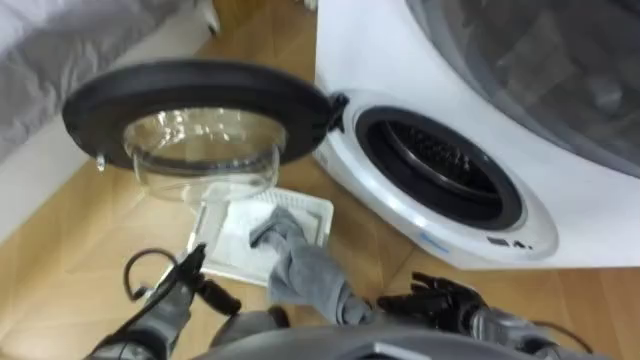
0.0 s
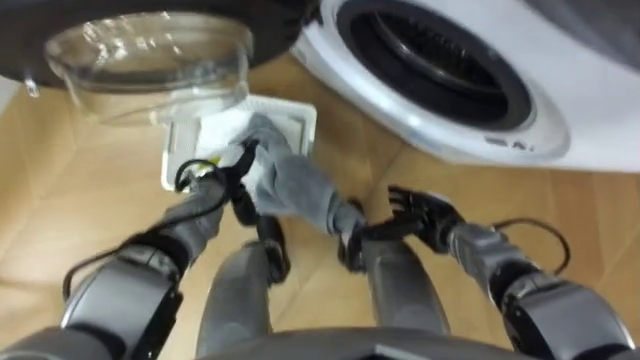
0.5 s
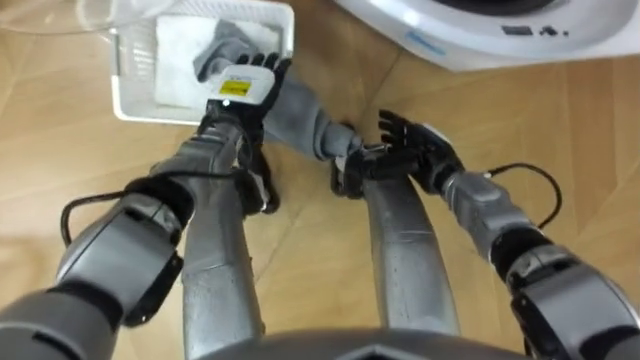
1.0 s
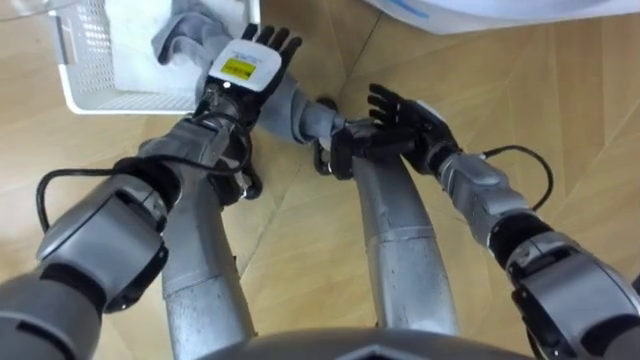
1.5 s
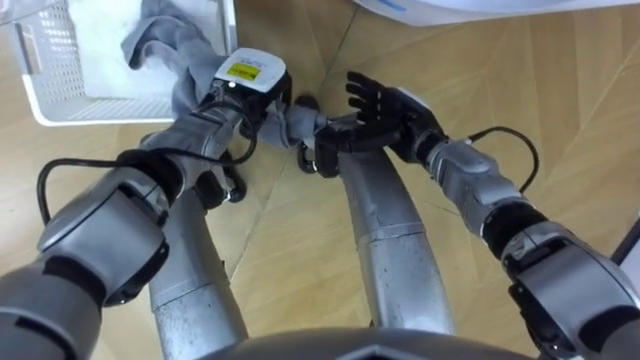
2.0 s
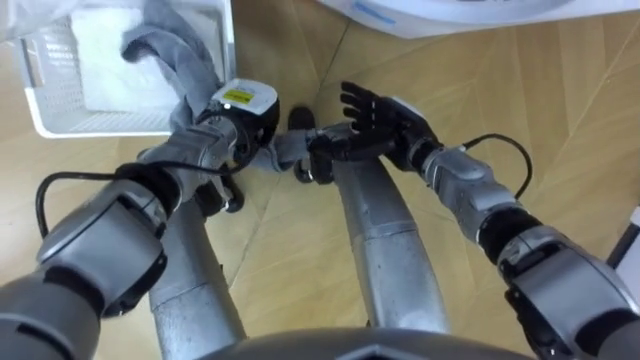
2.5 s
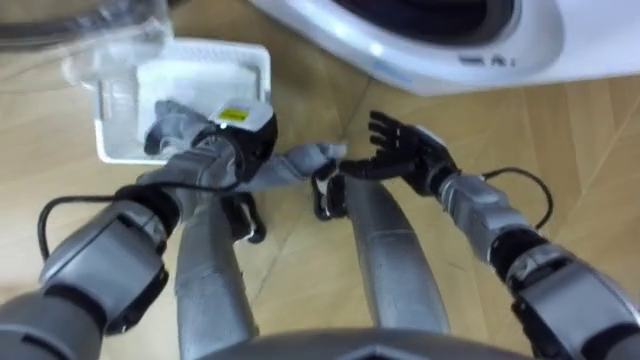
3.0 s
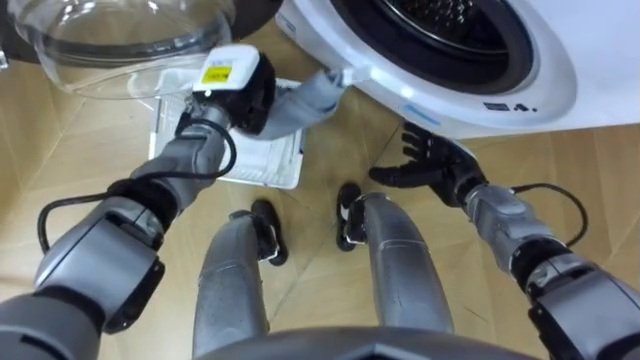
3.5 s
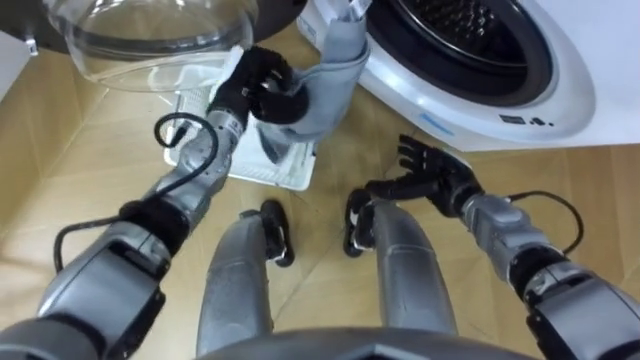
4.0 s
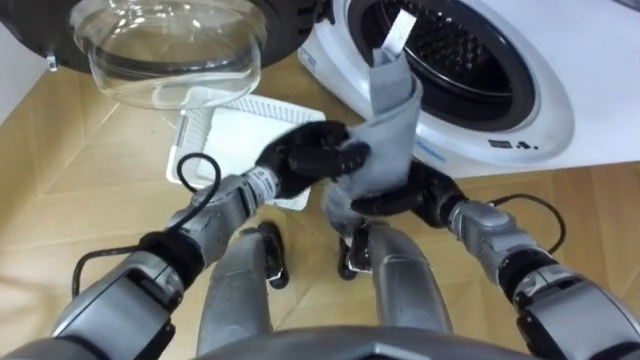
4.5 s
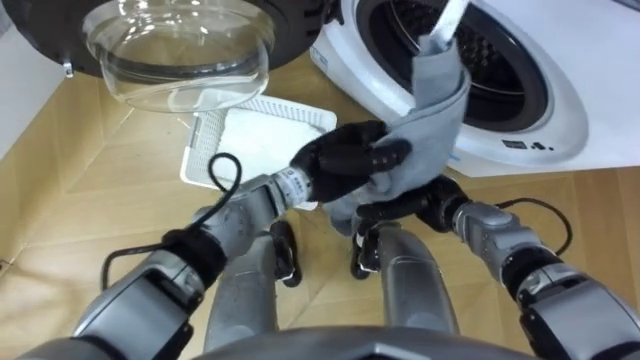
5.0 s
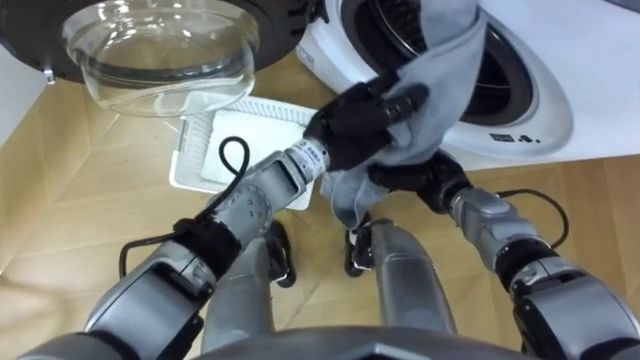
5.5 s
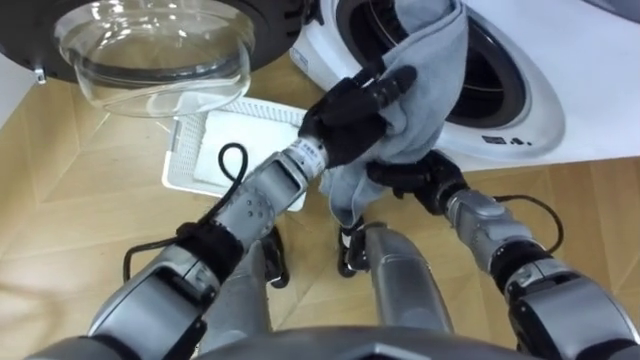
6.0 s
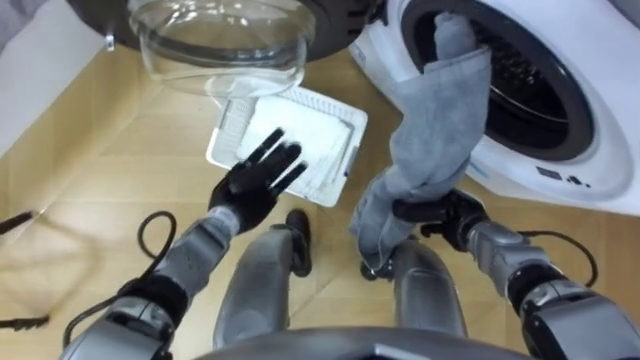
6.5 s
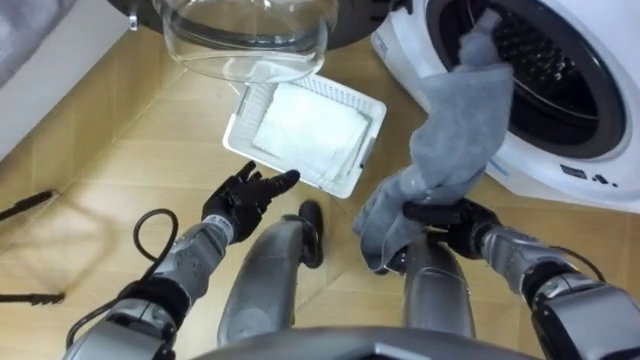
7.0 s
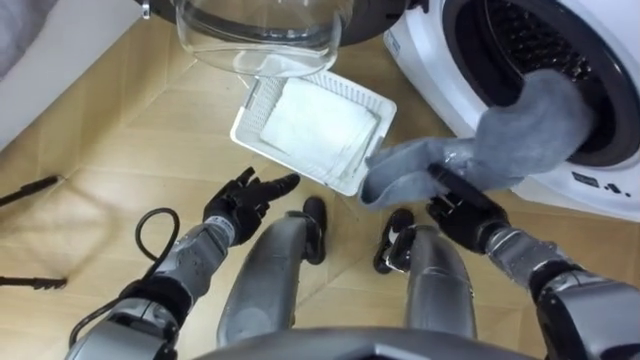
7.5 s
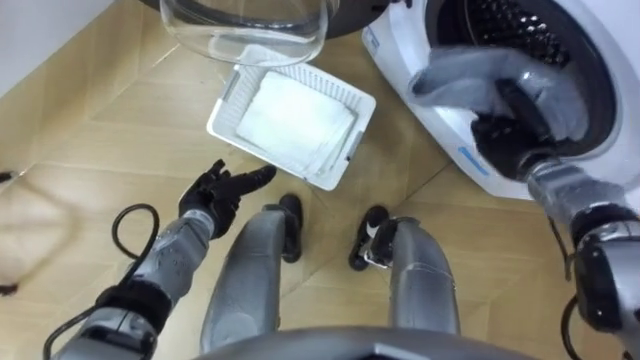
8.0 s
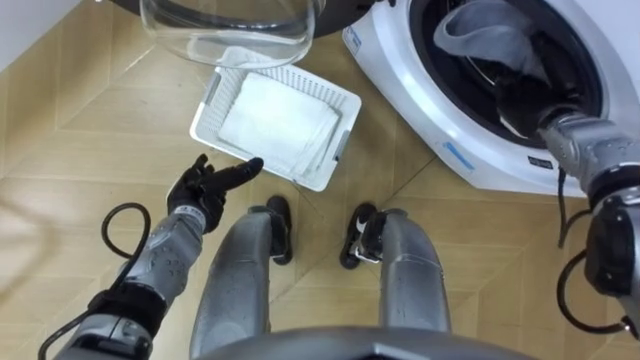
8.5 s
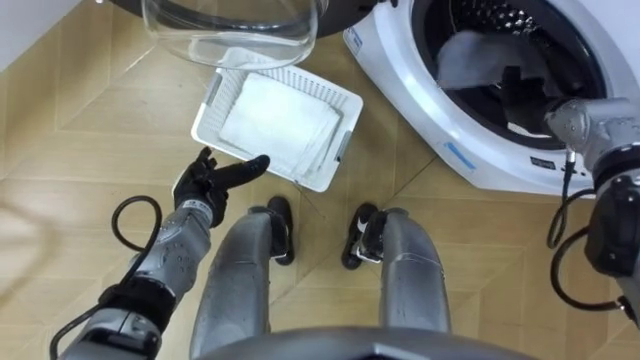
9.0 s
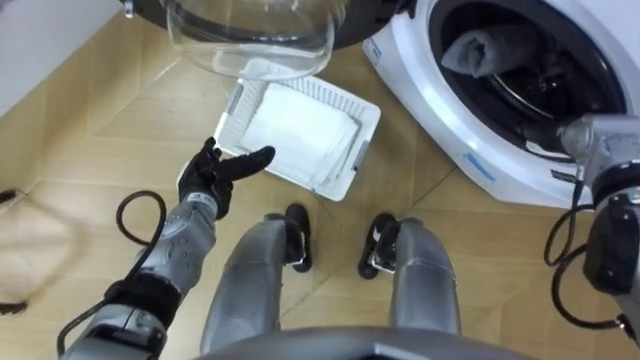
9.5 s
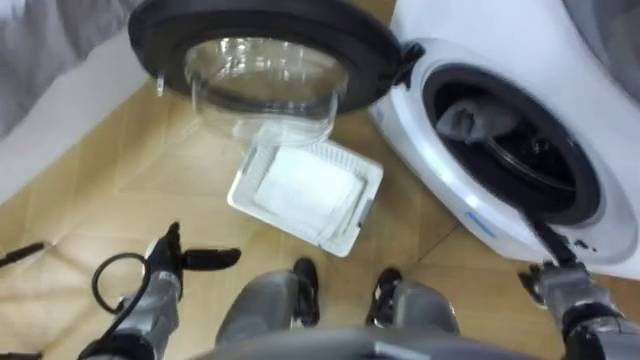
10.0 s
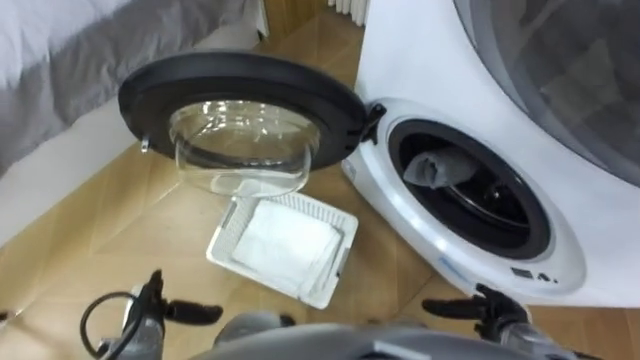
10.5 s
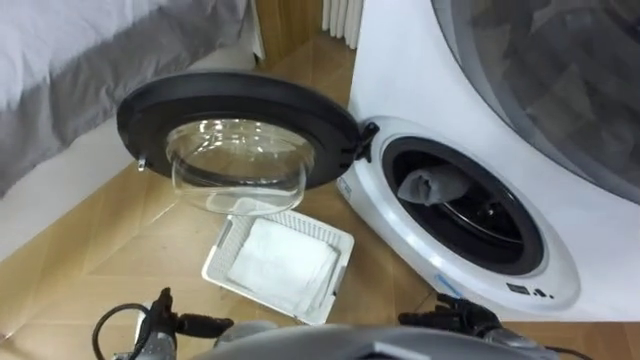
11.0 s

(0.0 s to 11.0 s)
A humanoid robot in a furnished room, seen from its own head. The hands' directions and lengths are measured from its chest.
Task of the whole recording: Take the towel from the basket and put it into the washing machine.
2.0 s - 3.5 s: The right hand travels to the right and downward by some 10 cm.
3.5 s - 5.5 s: The right hand closes up, while the left hand shifts approximately 20 cm to the right and backward.
5.5 s - 7.5 s: The right hand is displaced to the right by about 5 cm, while the left hand moves to the left and downward, approximately 25 cm, and opens.
7.5 s - 9.0 s: The left hand shifts by some 5 cm. The right hand travels forward, upward and to the right by roughly 20 cm, and opens.
9.0 s - 11.0 s: The right hand shifts about 35 cm backward and downward. The left hand goes approximately 20 cm backward and downward.

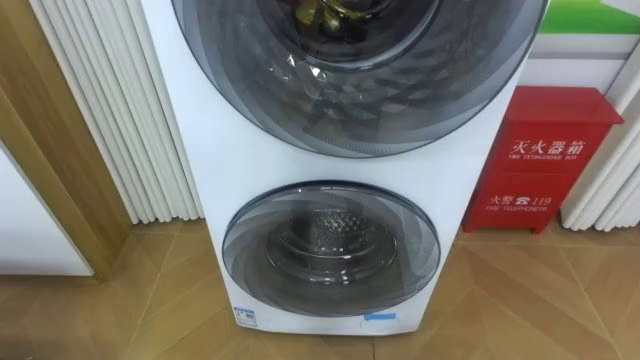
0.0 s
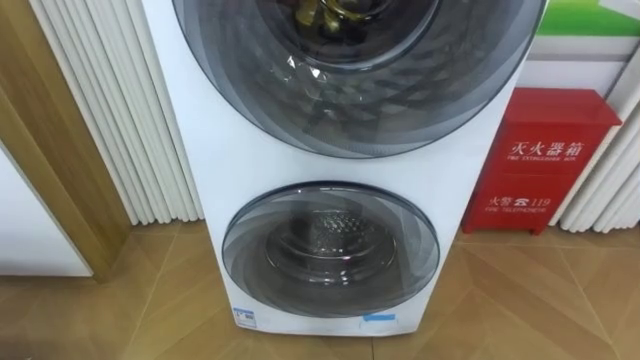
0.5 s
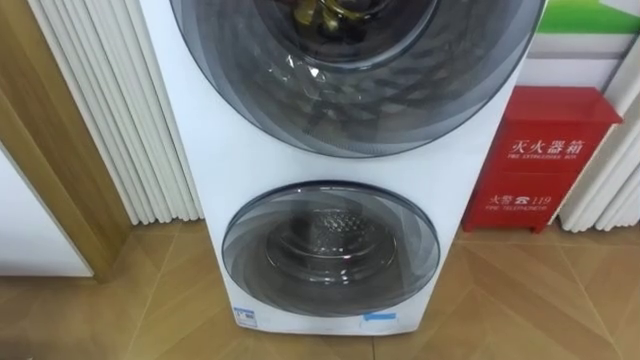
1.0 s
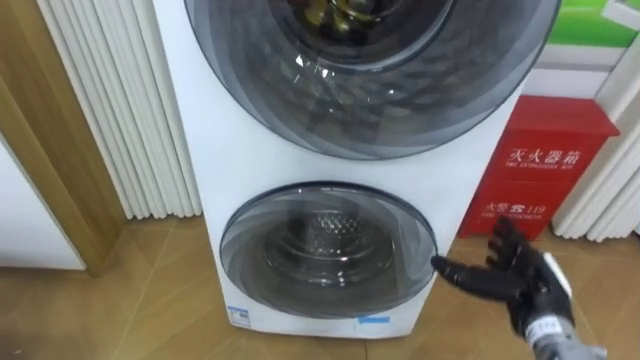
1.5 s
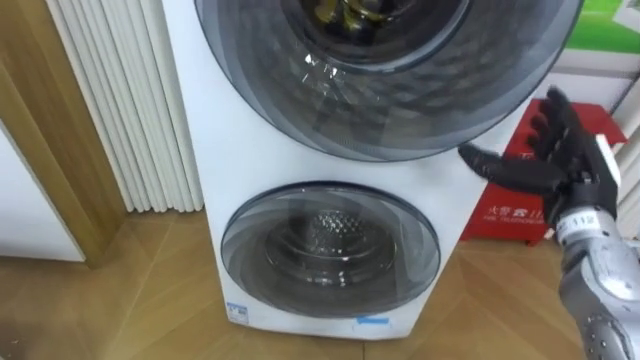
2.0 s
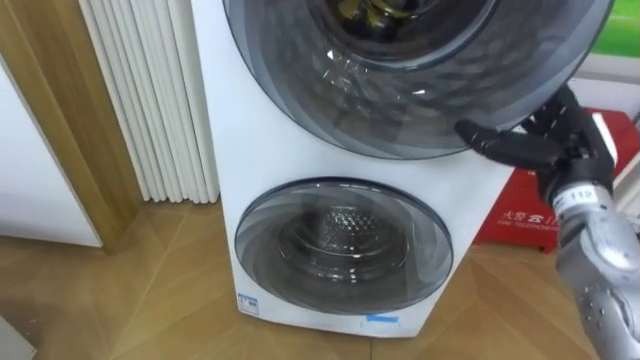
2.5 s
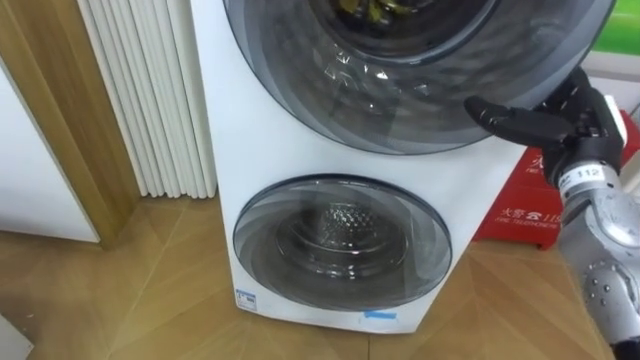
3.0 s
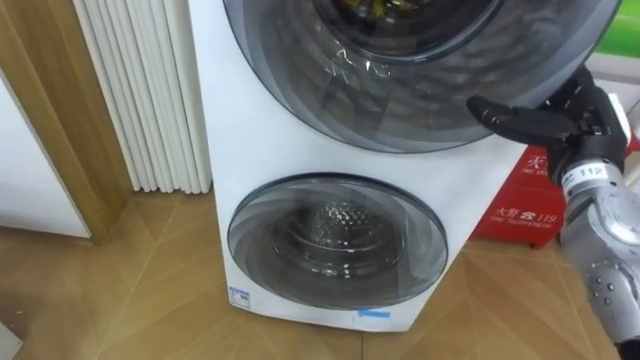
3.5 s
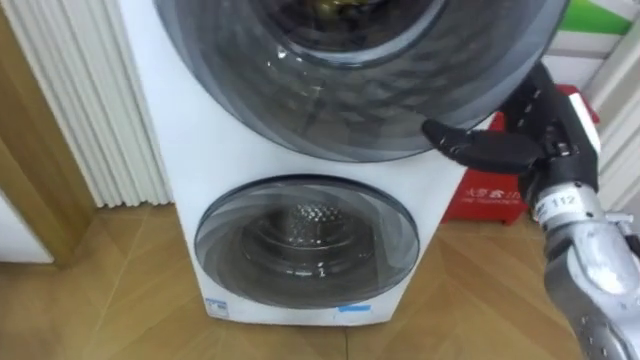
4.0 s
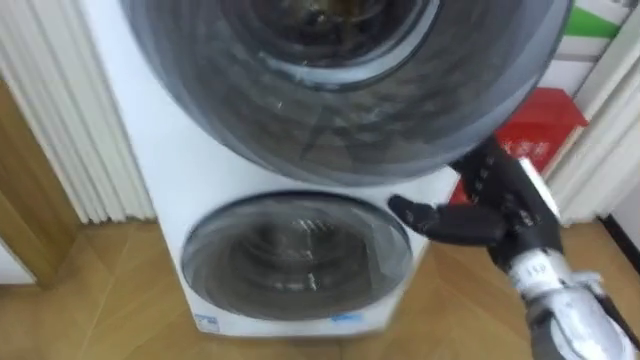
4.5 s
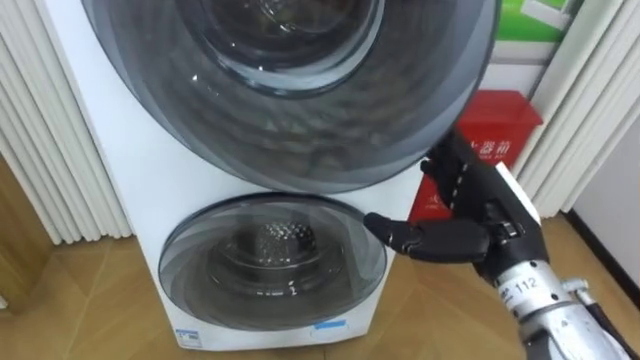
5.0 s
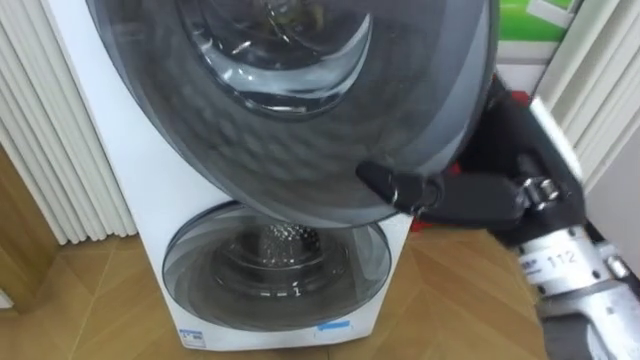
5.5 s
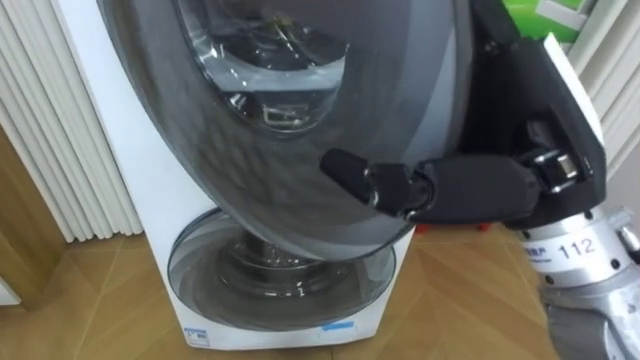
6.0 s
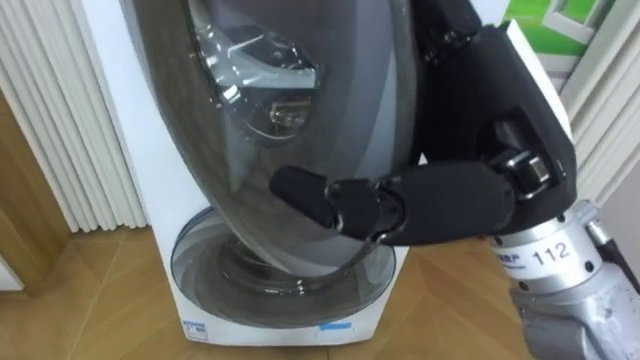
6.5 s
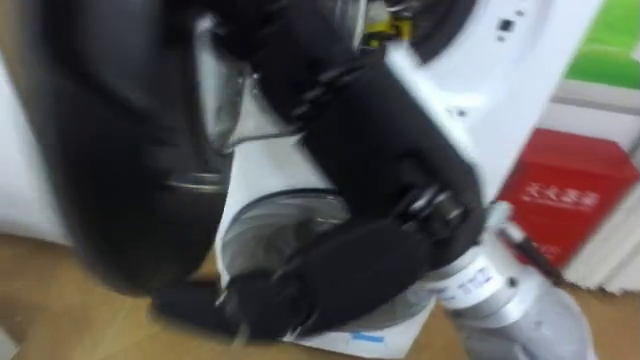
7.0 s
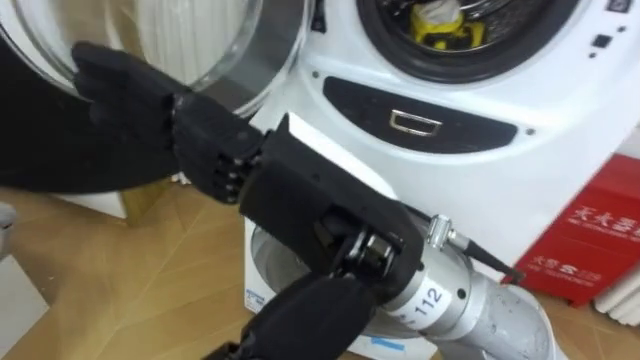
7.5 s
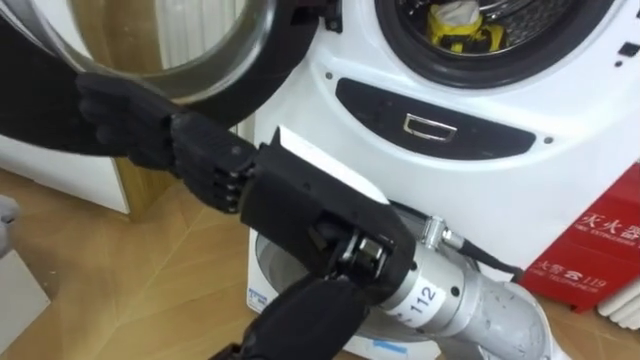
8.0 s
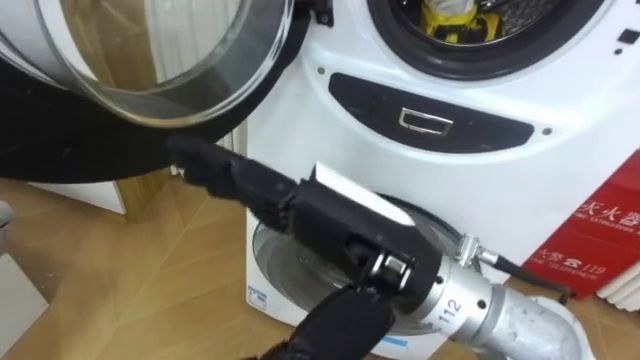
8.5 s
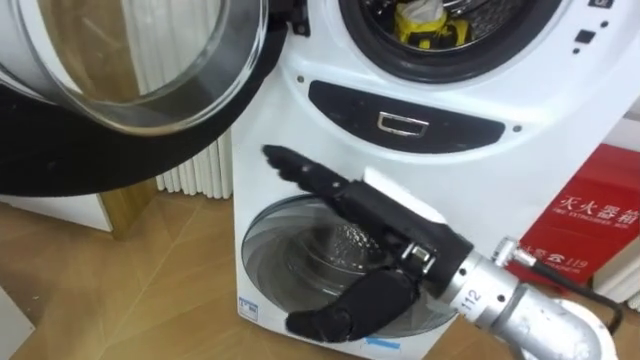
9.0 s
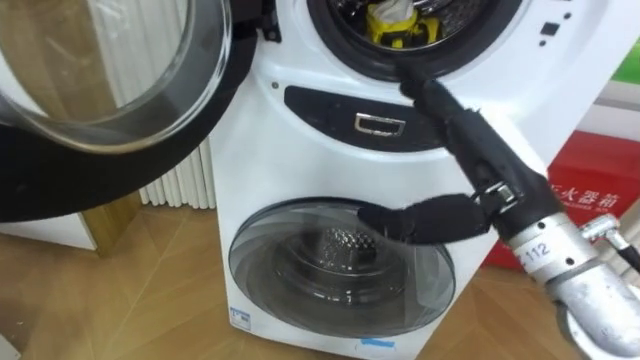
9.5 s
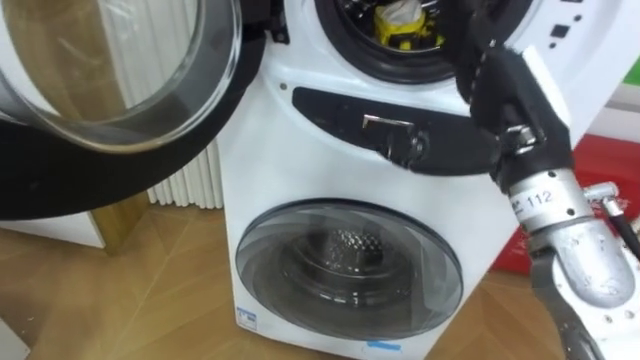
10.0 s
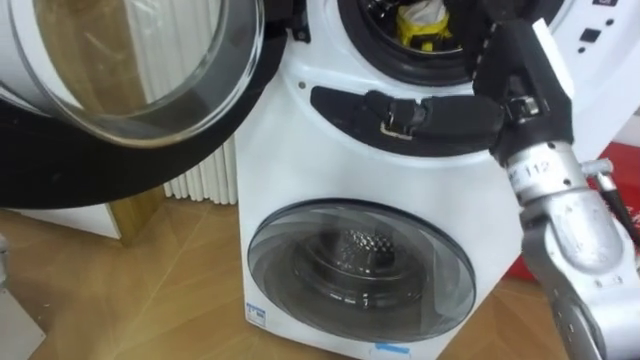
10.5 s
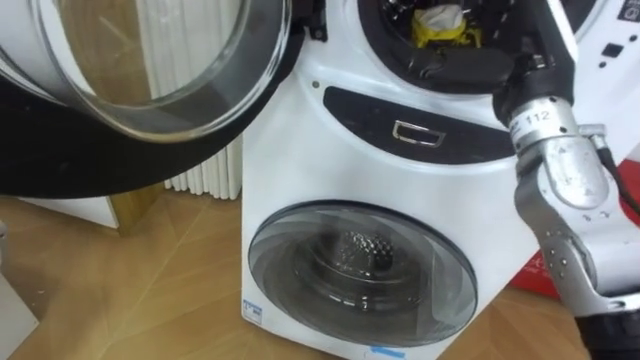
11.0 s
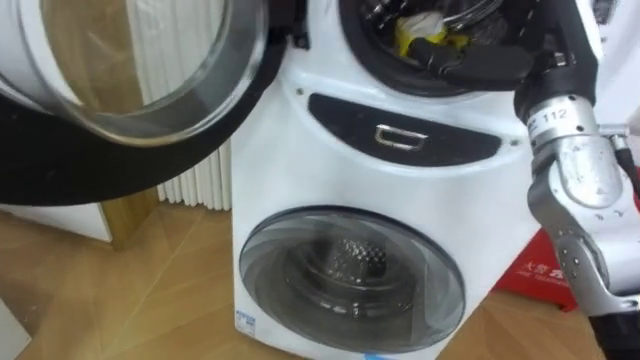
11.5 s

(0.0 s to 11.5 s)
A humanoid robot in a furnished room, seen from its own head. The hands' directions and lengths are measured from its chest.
Task of the whole recording: Open the washing machine door, take out the yellow clothes, place them in the box on the right, and close the washing machine door.
2.0 s - 4.0 s: The right hand heads to the left and upward, covering about 5 cm.
4.0 s - 6.0 s: The right hand heads backward, upward and to the left, covering some 15 cm.
6.0 s - 7.5 s: The right hand is displaced to the left by roughly 15 cm.
7.5 s - 9.5 s: The right hand travels to the right and forward by roughly 20 cm.
9.5 s - 11.5 s: The right hand travels forward, upward and to the right by some 10 cm.
